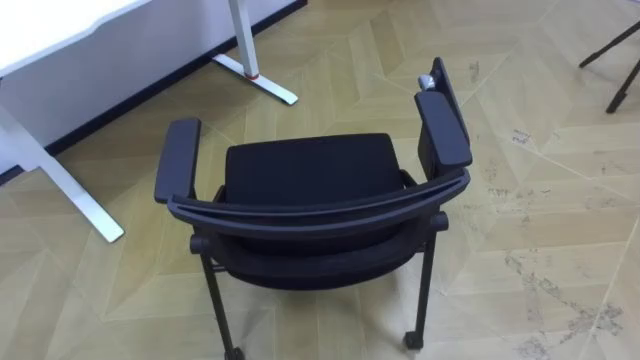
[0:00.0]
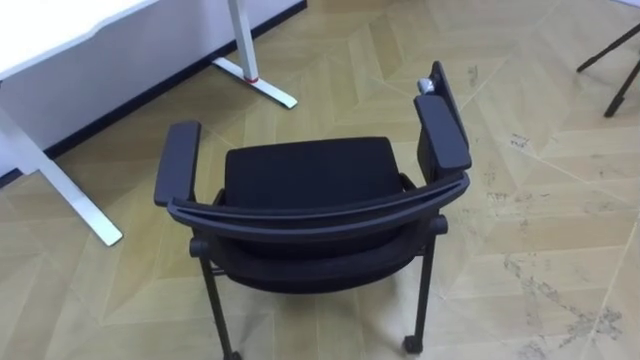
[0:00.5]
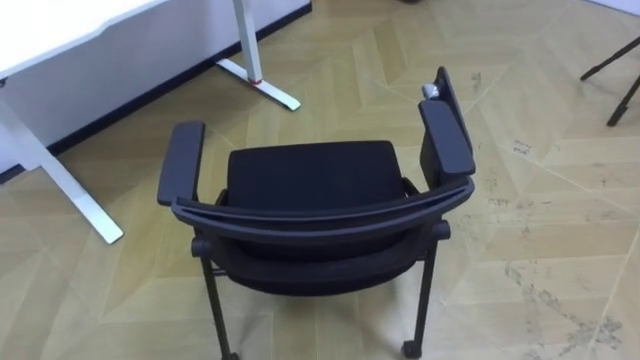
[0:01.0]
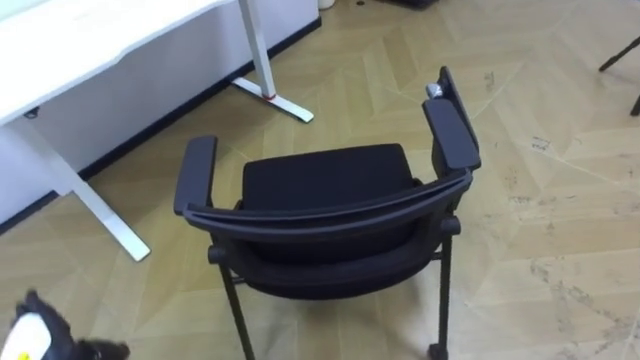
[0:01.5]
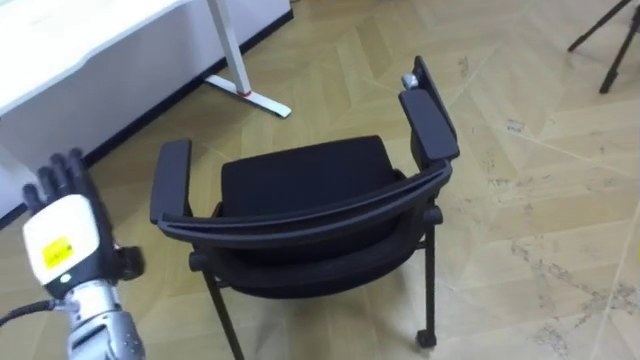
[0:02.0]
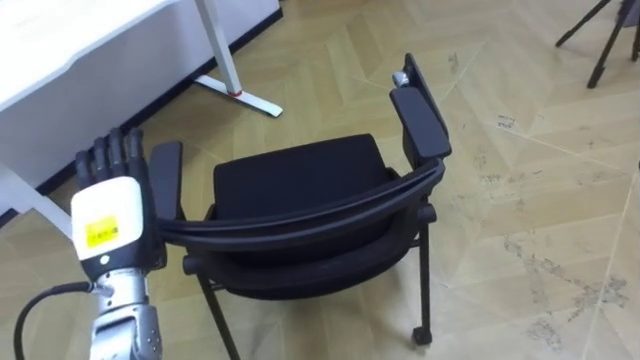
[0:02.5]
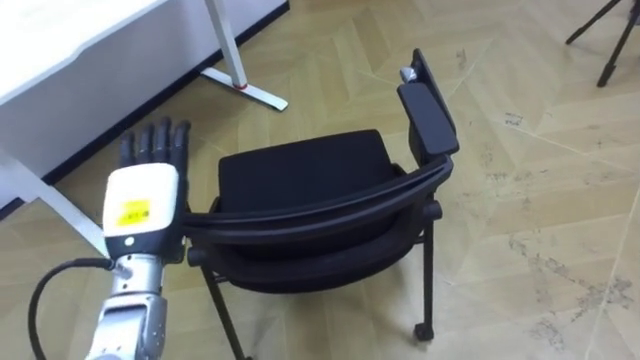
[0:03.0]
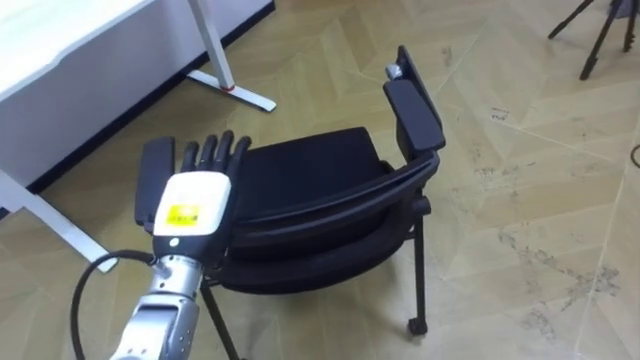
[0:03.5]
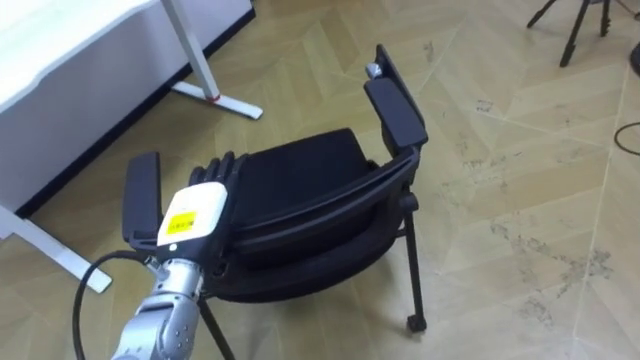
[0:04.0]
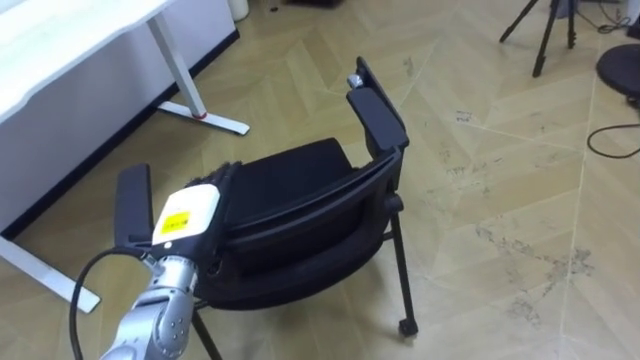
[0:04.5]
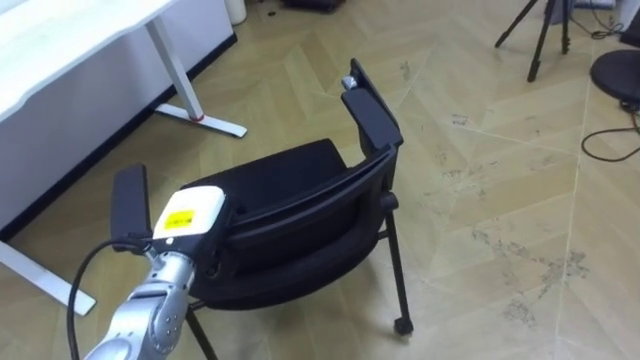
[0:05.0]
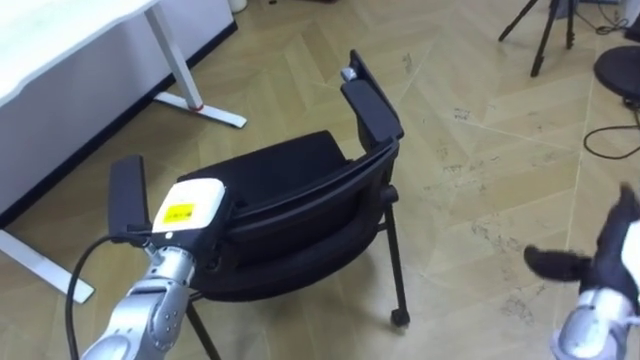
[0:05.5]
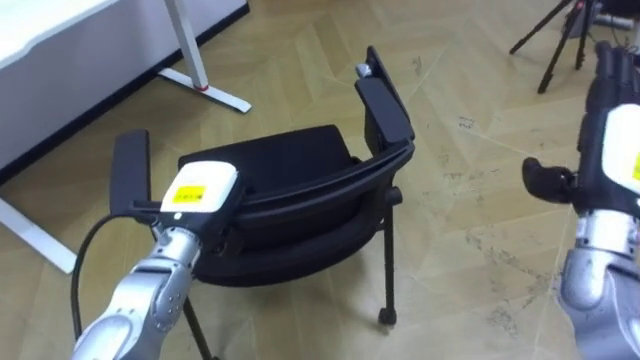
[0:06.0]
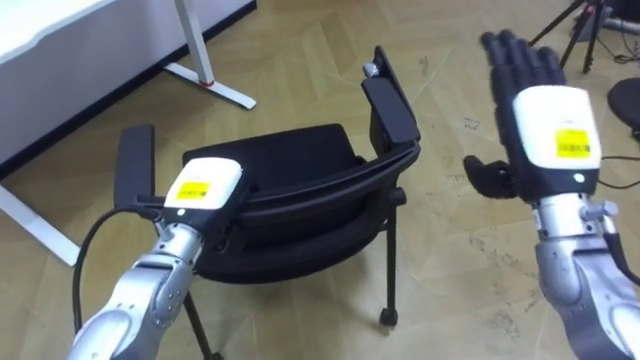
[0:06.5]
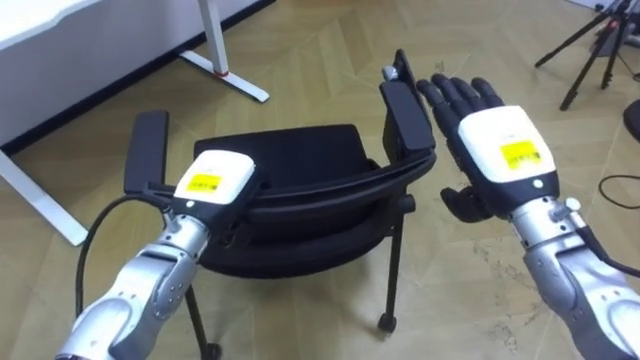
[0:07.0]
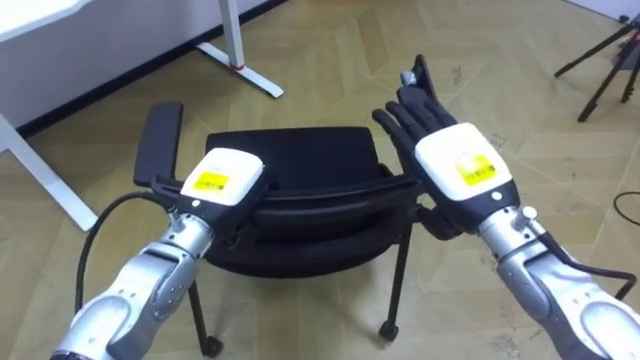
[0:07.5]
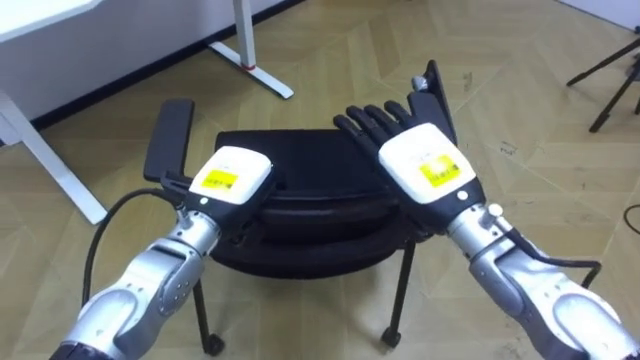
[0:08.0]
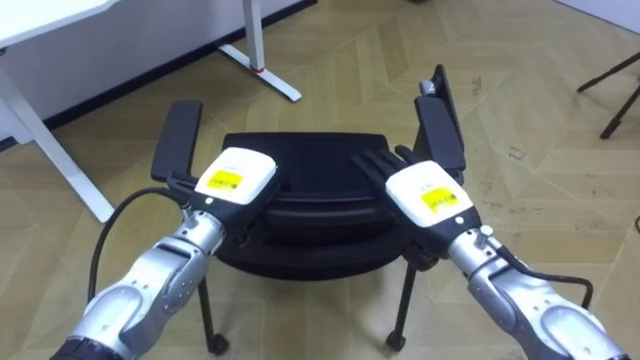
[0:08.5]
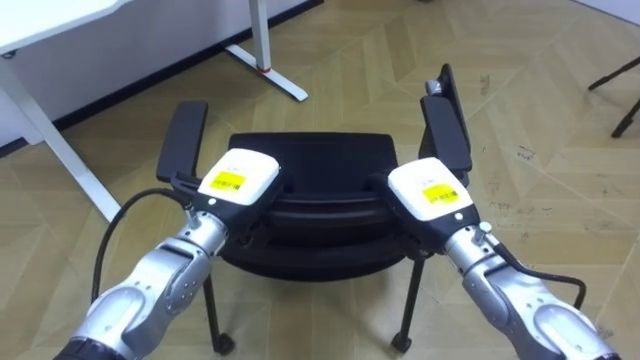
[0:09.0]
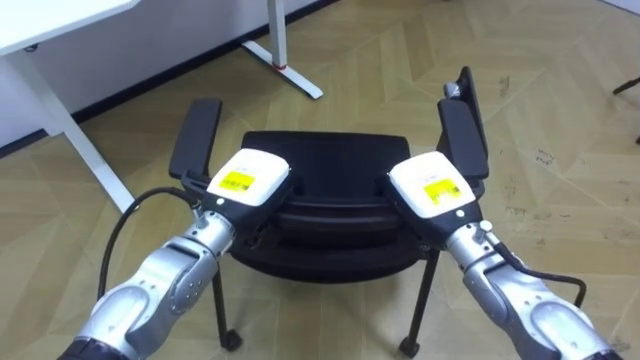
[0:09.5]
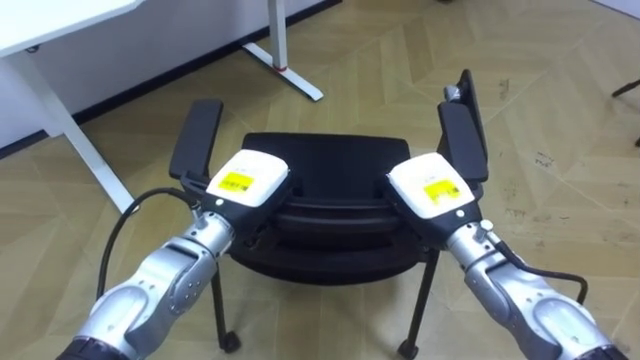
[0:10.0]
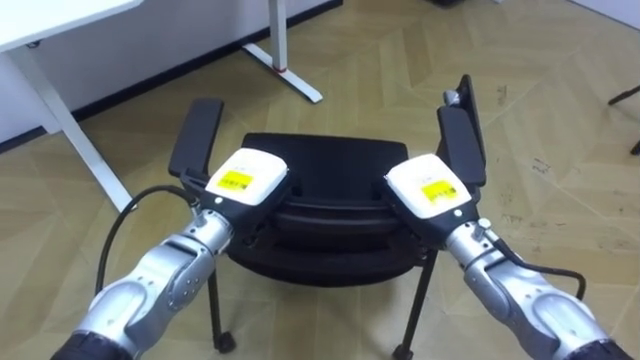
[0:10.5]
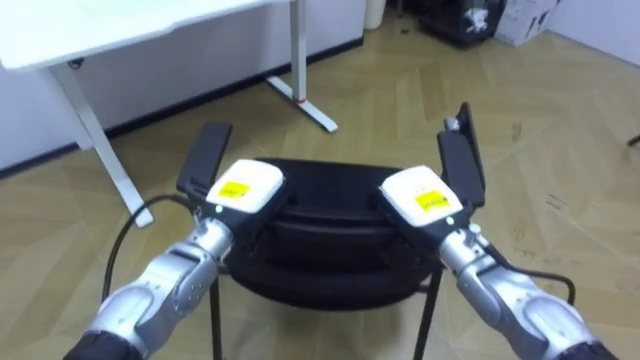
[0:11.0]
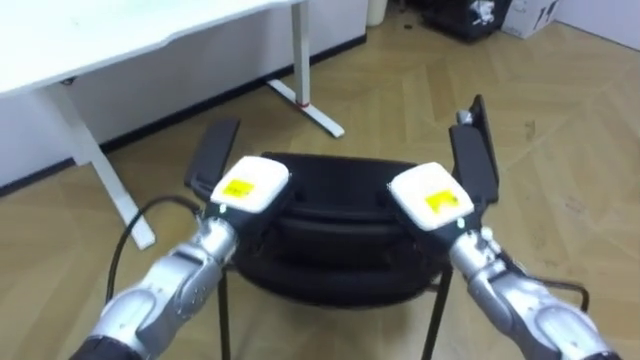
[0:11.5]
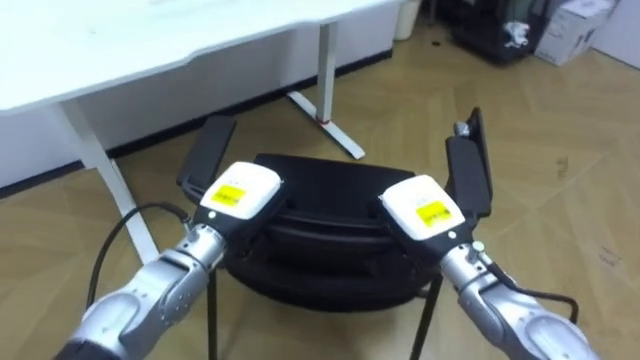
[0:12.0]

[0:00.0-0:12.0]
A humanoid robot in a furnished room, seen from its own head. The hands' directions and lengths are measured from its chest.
Task of the whole recording: Push the chair under the table.
0:02.0 to 0:04.0: The left hand is displaced to the right by some 15 cm.
0:04.0 to 0:06.0: The left hand closes.
0:06.0 to 0:08.0: The right hand moves to the left, some 20 cm.
0:08.0 to 0:10.0: The right hand moves downward, approximately 5 cm, and closes its fingers.

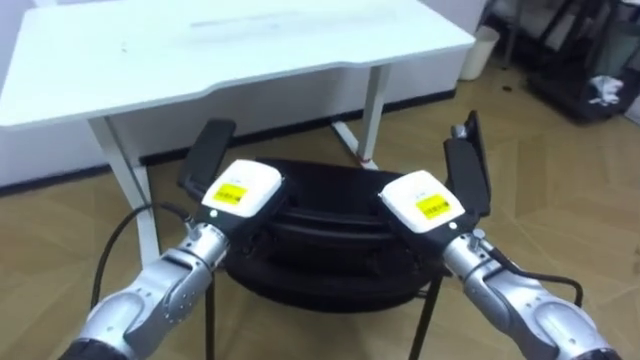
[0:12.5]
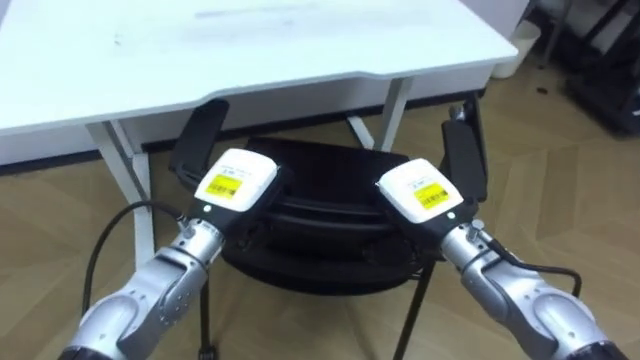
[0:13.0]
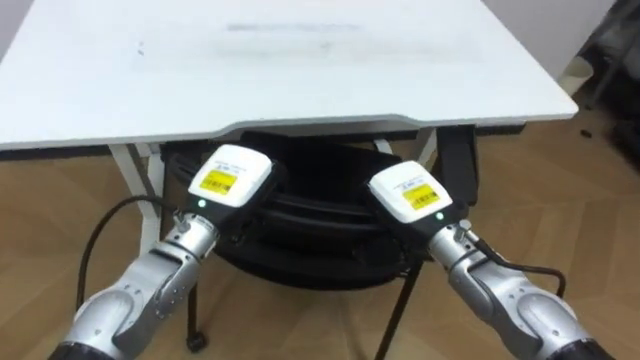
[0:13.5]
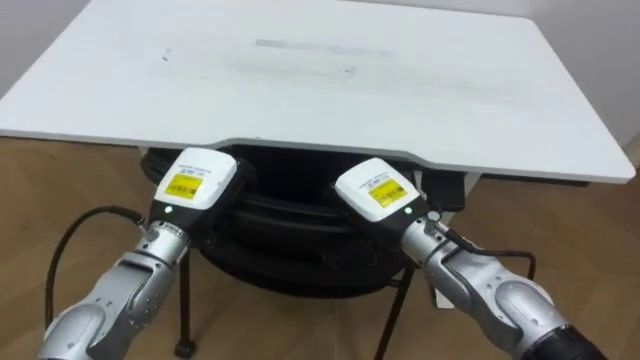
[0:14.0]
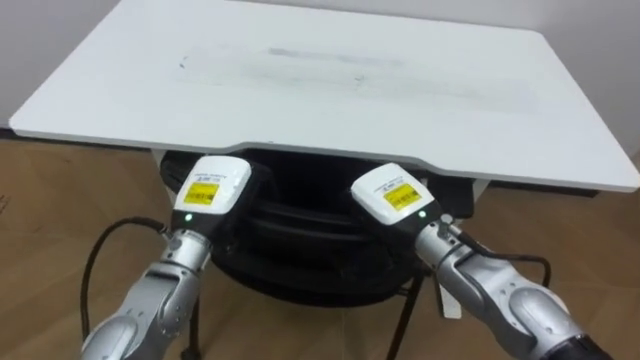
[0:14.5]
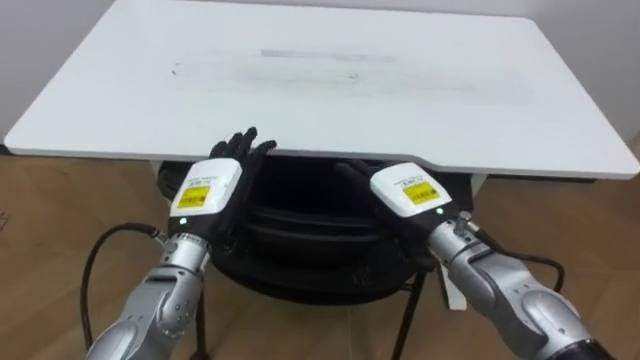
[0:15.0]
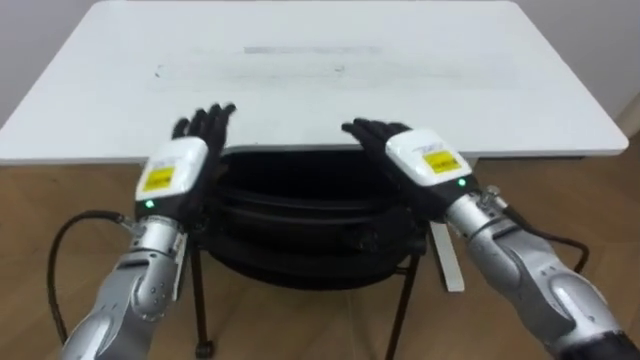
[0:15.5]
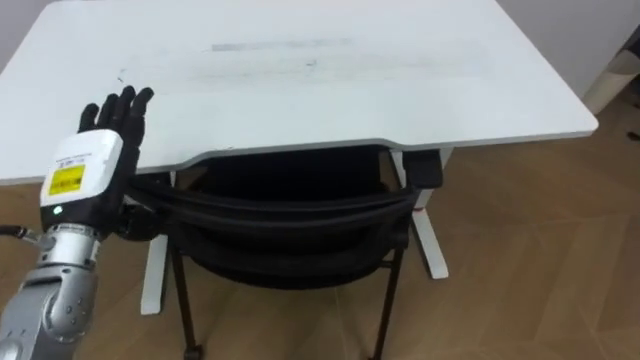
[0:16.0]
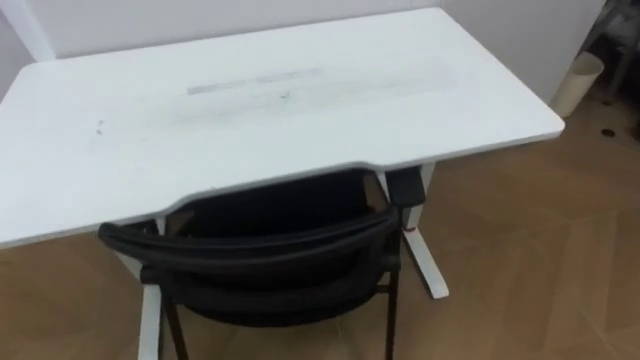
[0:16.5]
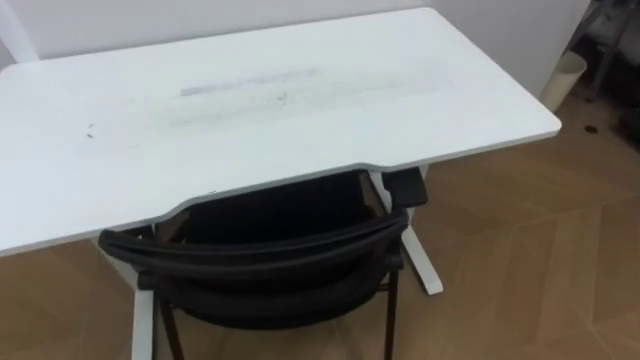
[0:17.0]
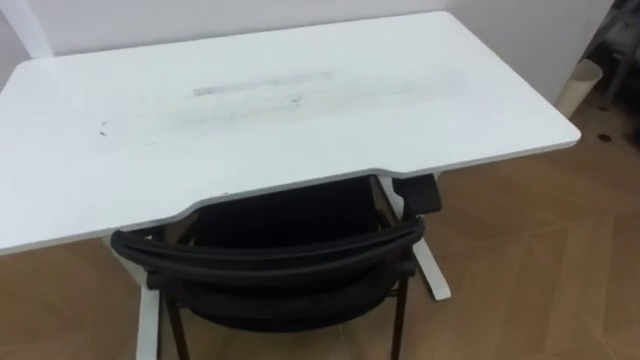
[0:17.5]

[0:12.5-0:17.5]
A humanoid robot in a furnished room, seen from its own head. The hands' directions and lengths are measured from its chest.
Task of the whole recording: Push the chair under the table.
0:12.5 to 0:15.0: The robot faces some 20 degrees further to its left. The left hand opens. Meanwhile the right hand opens up.

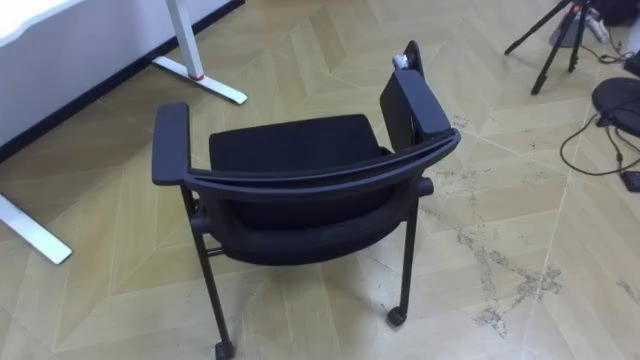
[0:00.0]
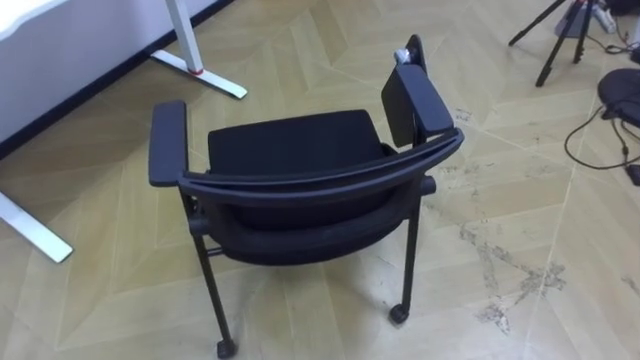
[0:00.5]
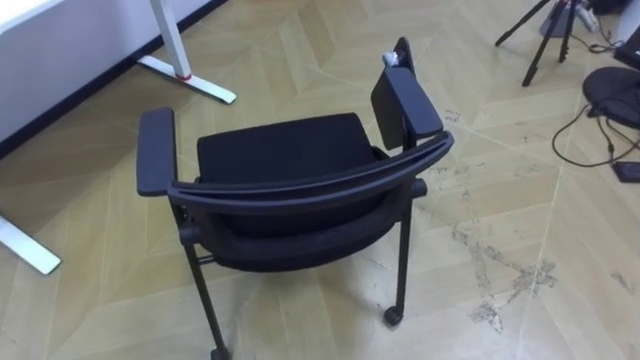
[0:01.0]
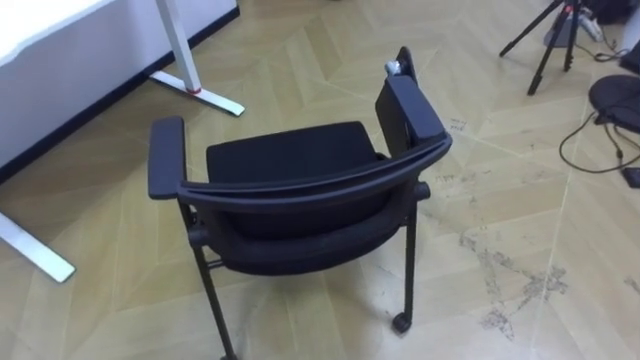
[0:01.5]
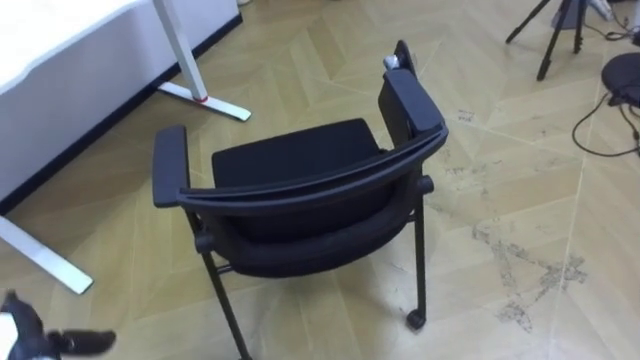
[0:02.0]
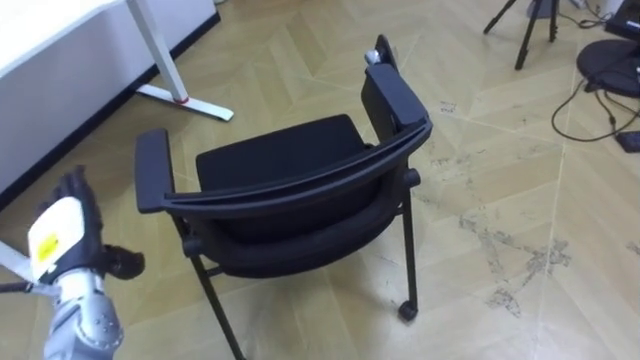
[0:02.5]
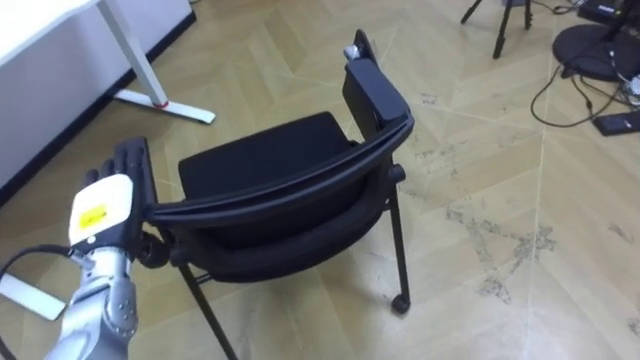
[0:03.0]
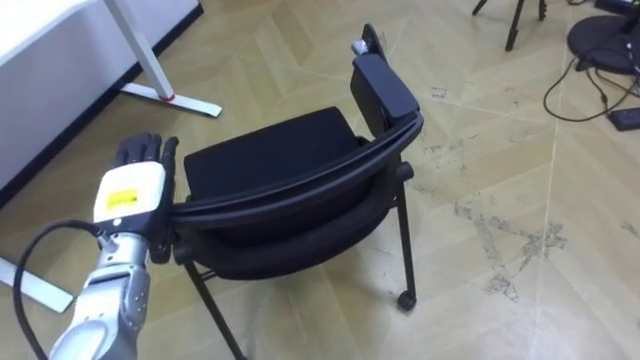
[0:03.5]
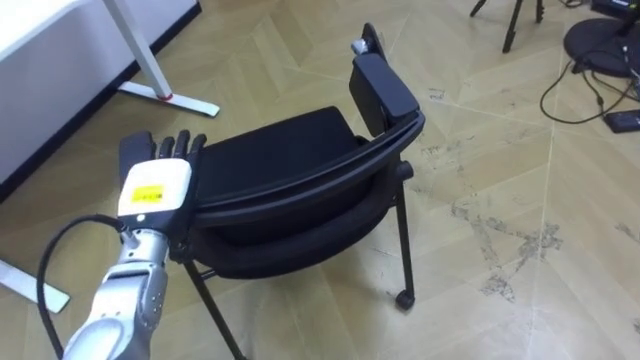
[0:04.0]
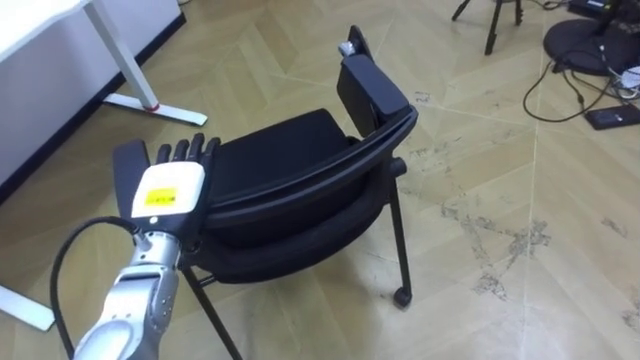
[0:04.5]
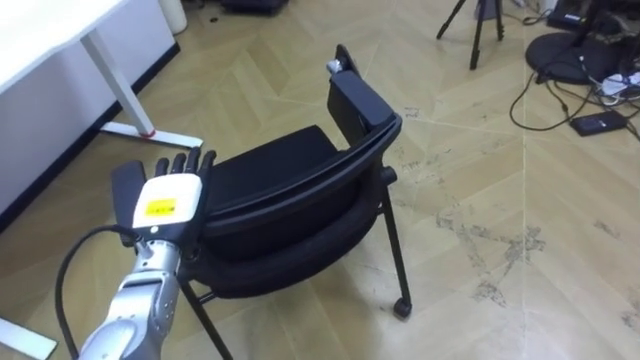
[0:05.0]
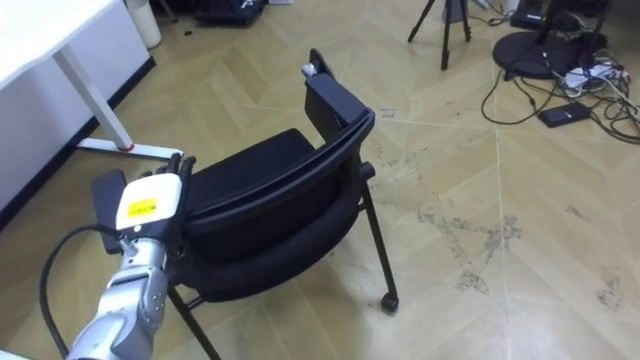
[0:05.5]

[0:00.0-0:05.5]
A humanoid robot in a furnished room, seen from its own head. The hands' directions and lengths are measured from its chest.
Task of the whole recording: Push the chair under the table.
0:02.0 to 0:03.5: The left hand travels forward, to the right and upward by some 25 cm.
